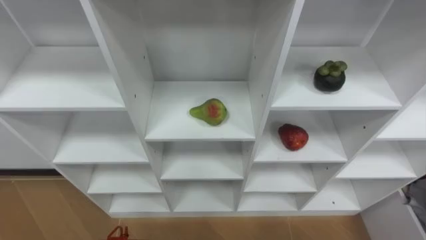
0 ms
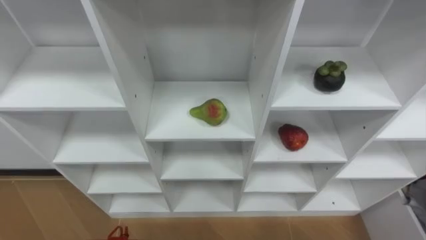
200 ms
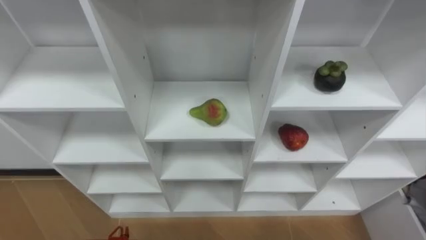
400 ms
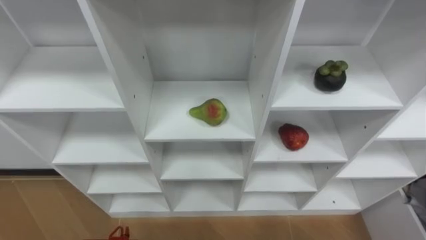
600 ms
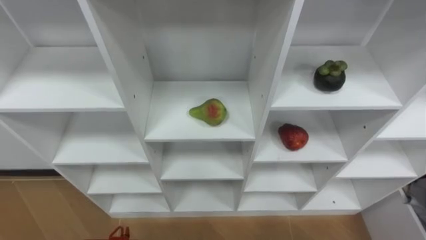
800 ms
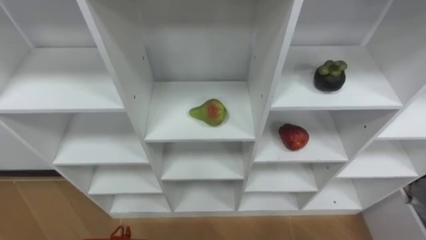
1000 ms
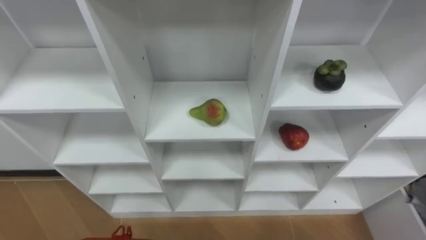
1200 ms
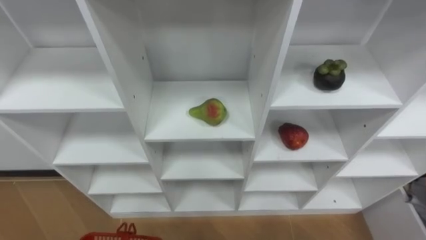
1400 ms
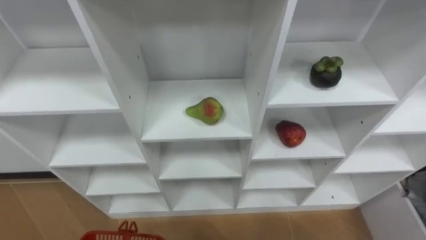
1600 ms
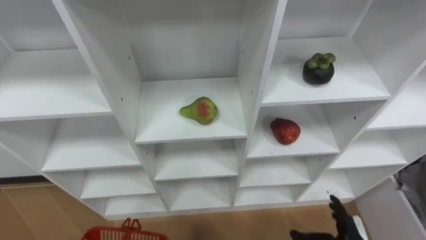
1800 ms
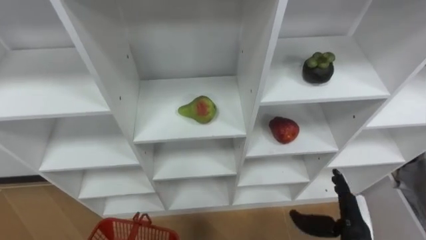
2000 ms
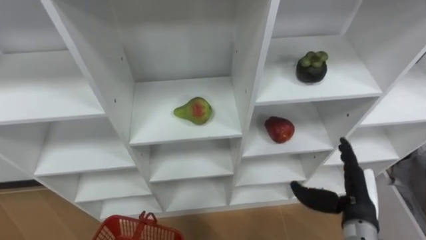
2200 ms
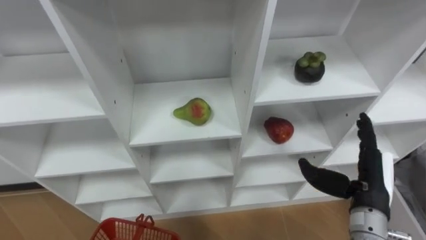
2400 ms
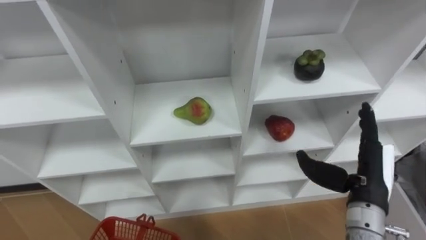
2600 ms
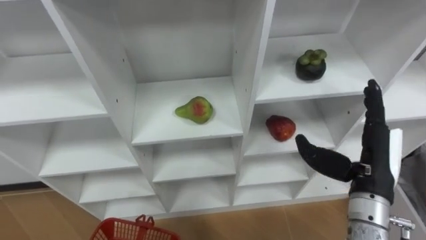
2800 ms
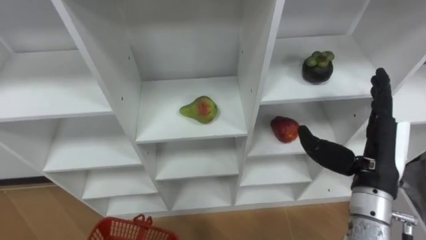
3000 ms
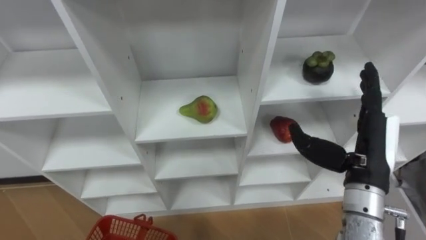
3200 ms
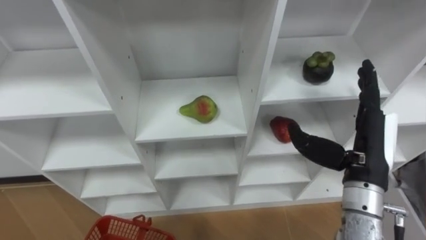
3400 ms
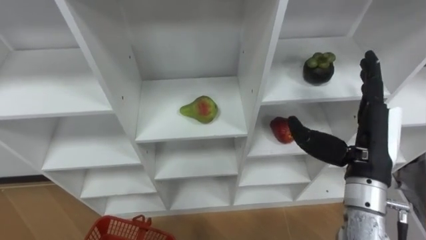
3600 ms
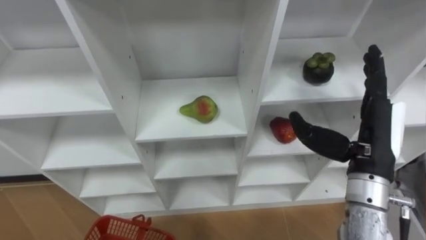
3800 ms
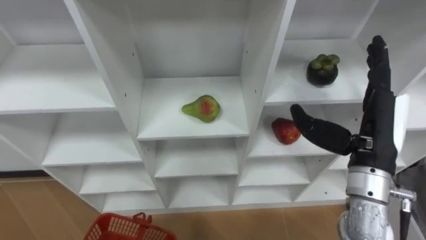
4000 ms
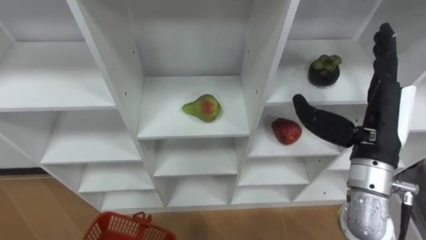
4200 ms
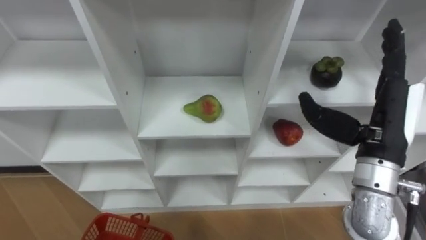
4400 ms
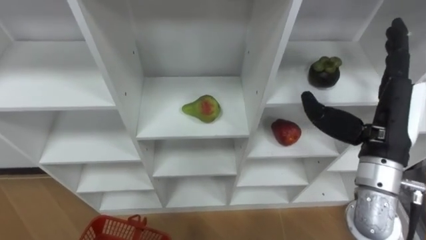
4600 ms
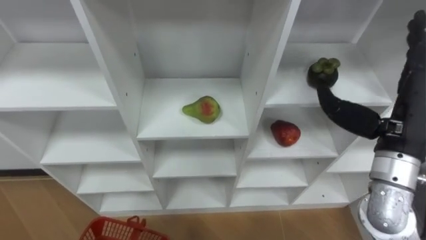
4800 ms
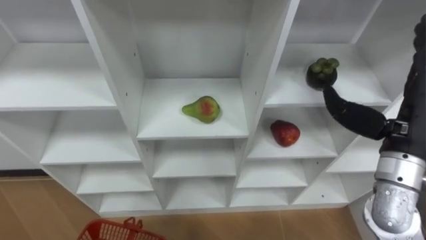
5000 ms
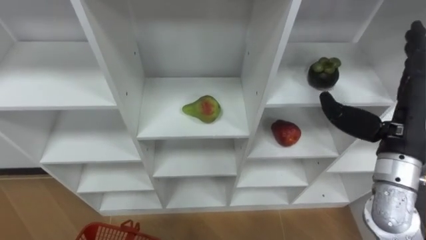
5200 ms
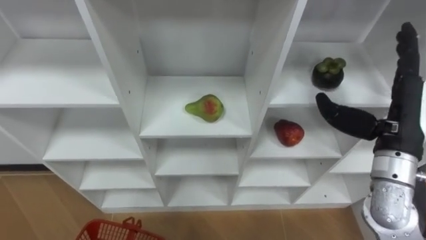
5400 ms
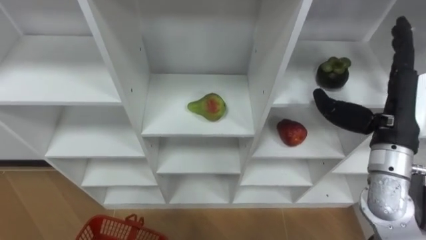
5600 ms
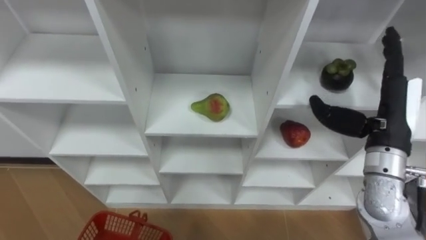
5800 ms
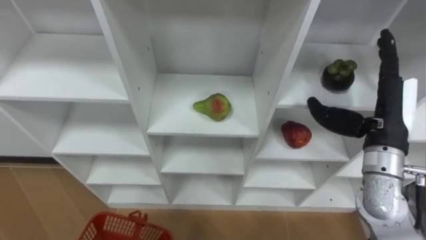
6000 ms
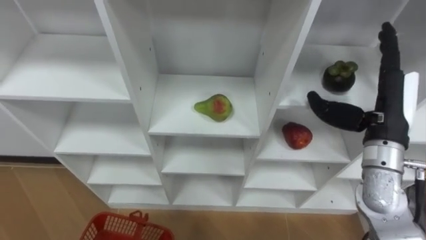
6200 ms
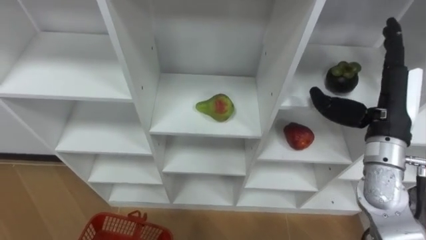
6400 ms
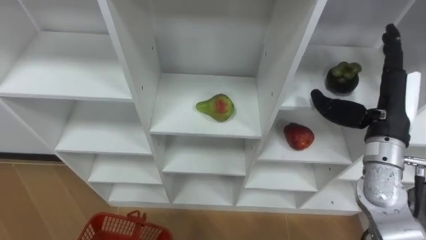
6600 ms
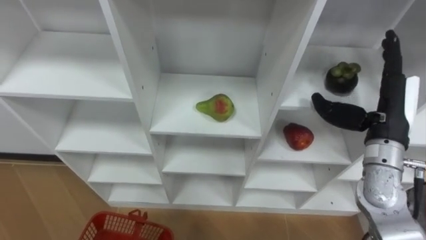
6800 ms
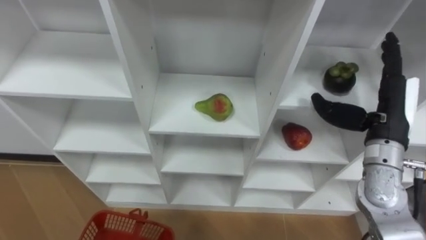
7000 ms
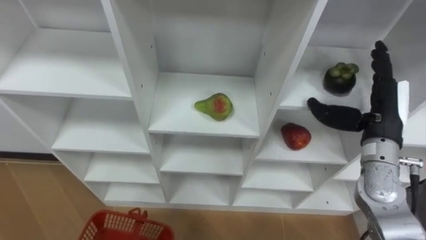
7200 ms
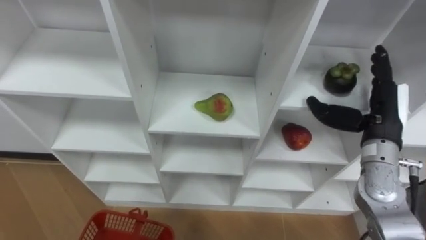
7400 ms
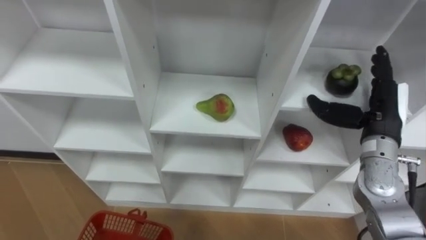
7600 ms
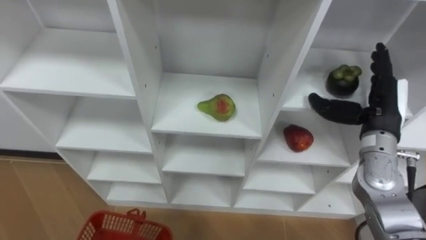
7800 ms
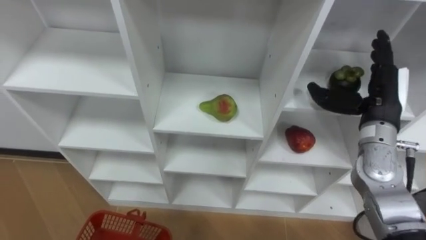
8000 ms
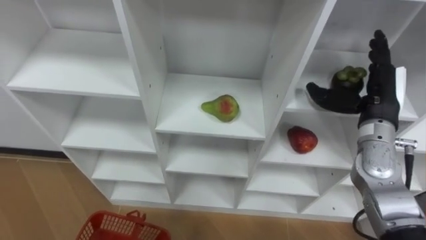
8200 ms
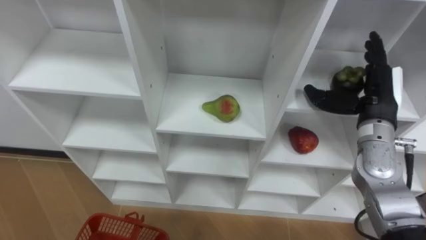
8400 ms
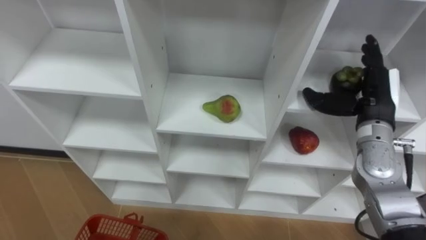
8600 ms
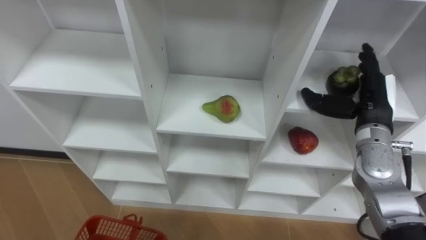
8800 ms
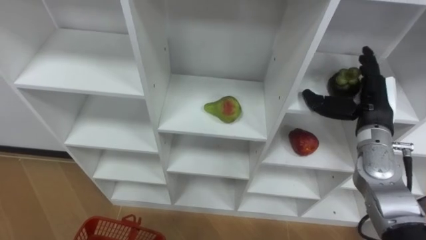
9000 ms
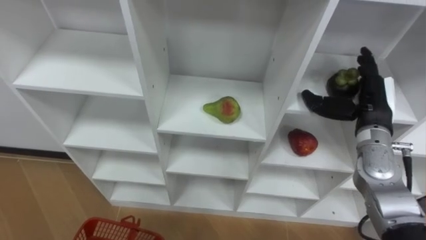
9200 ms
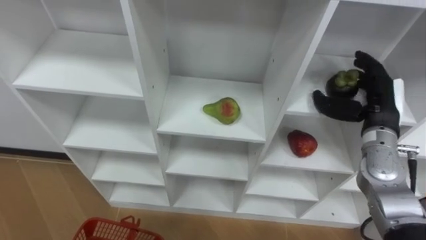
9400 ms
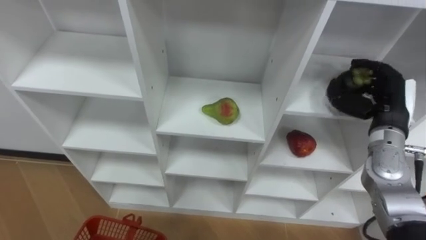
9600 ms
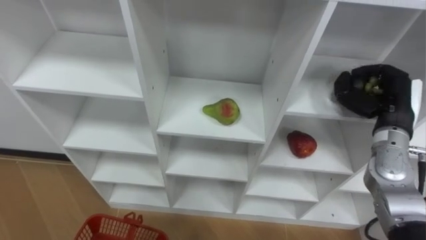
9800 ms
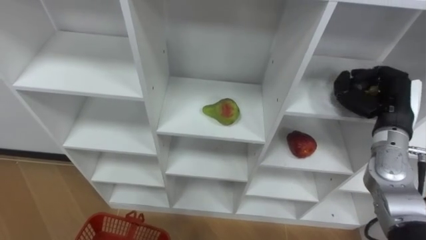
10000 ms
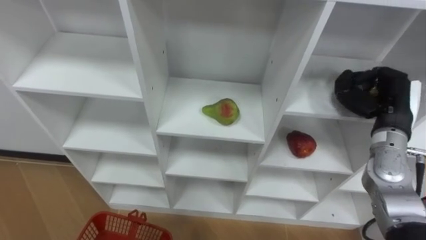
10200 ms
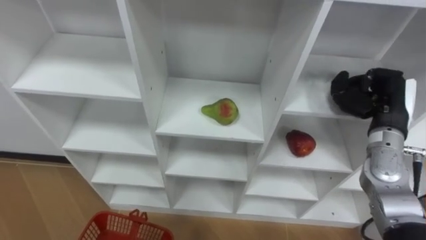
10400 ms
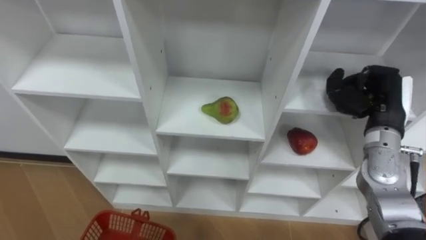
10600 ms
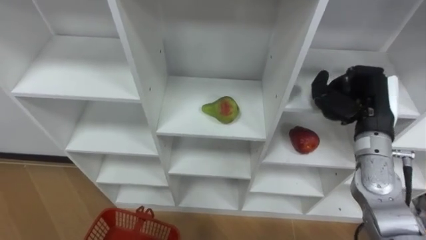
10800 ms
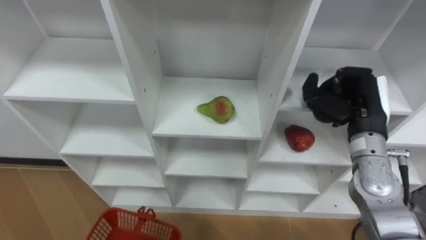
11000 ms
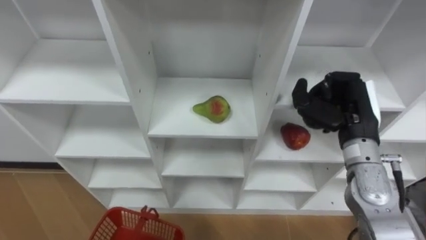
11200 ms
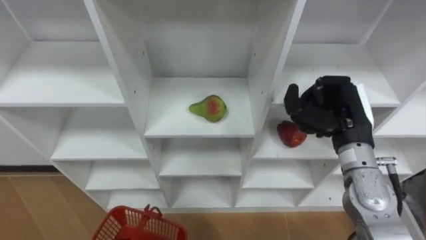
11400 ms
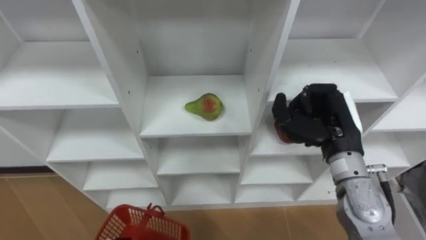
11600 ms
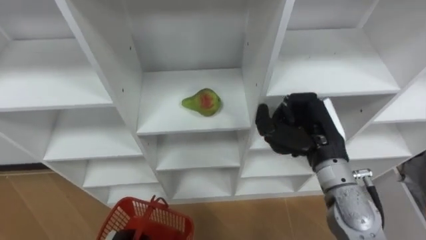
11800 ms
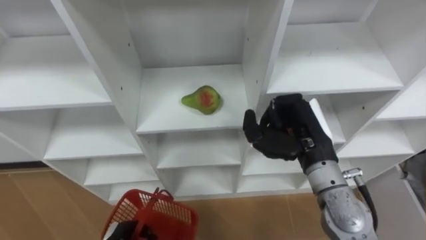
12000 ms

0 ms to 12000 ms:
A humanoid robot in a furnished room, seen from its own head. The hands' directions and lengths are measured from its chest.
Task of the whole recording: Hold the basket and collect the fruits from 3 different cells of the closet into it.
3000 ms to 4400 ms: The right hand travels upward by some 5 cm.
6000 ms to 7600 ms: The right hand ends up some 5 cm from where it was.
9000 ms to 10400 ms: The right hand closes up.
10400 ms to 12000 ms: The right hand moves to the left, approximately 15 cm.

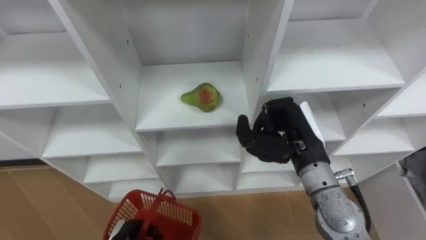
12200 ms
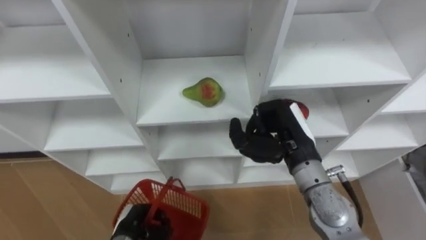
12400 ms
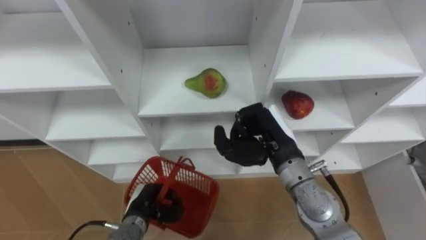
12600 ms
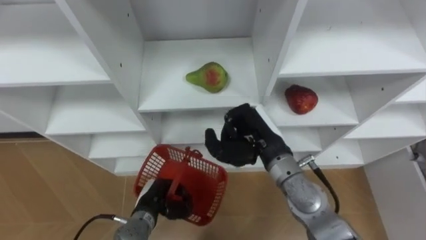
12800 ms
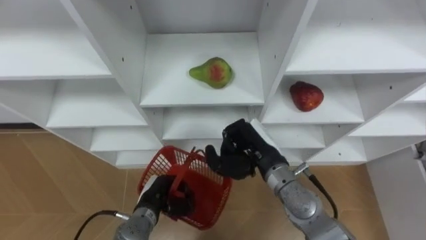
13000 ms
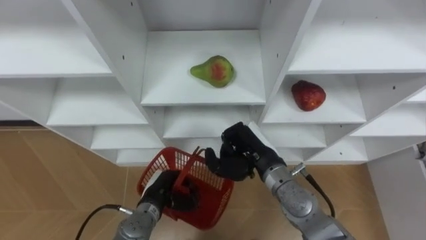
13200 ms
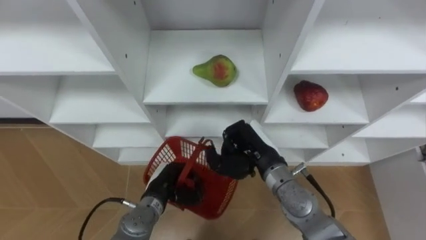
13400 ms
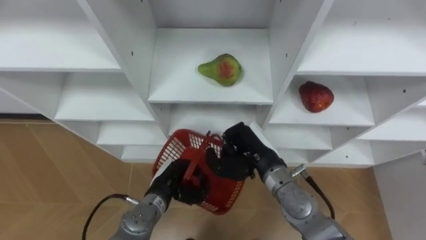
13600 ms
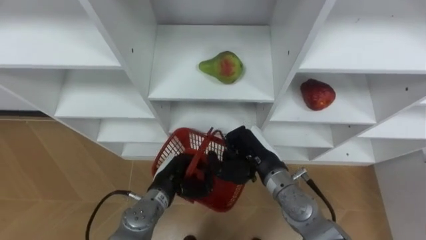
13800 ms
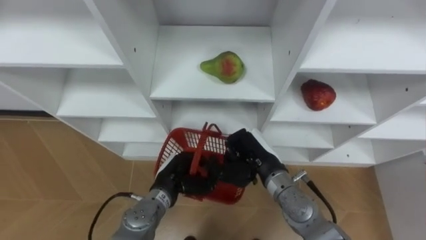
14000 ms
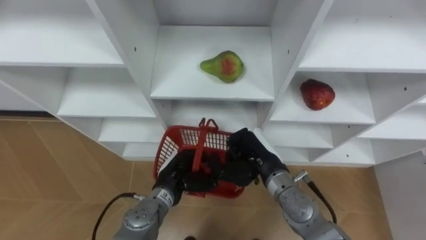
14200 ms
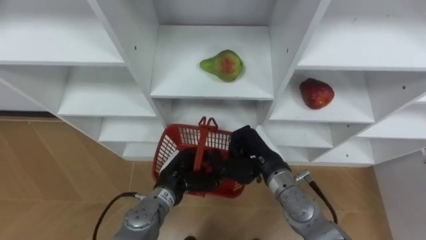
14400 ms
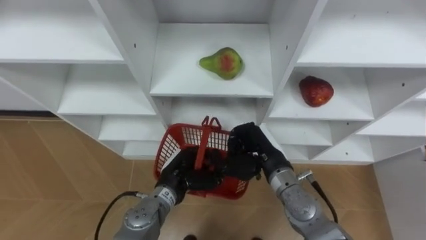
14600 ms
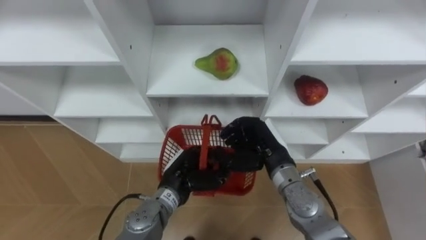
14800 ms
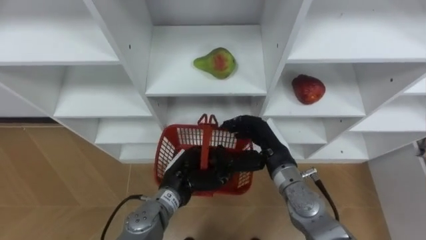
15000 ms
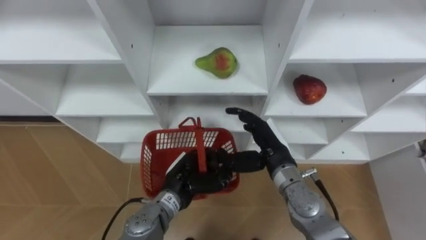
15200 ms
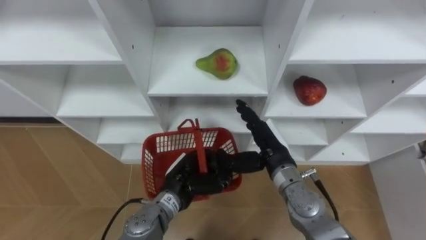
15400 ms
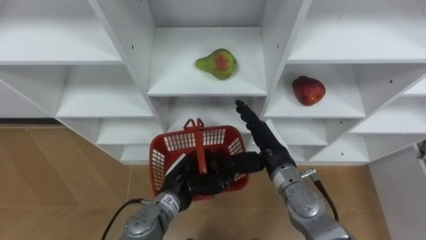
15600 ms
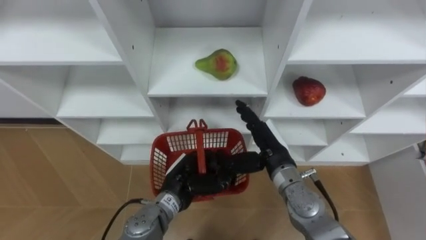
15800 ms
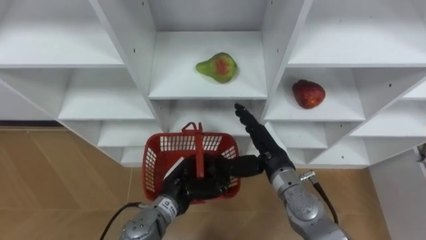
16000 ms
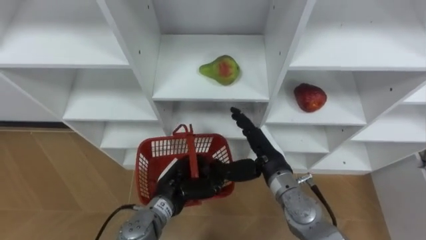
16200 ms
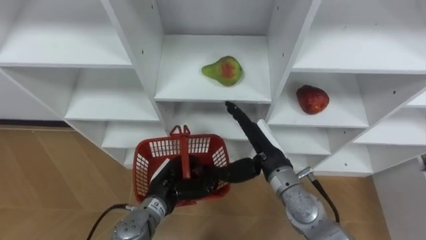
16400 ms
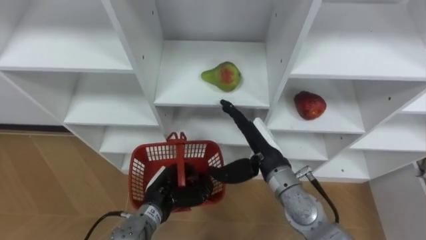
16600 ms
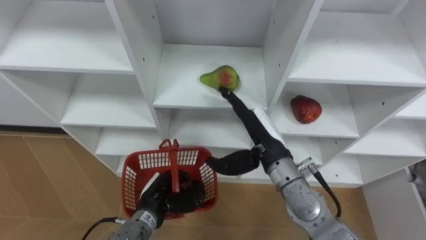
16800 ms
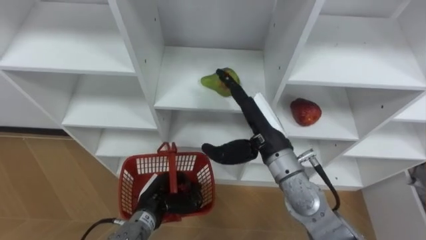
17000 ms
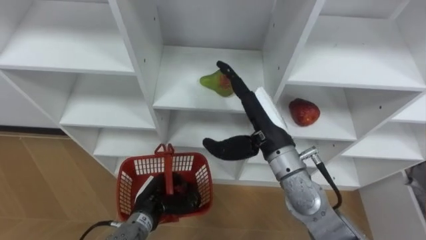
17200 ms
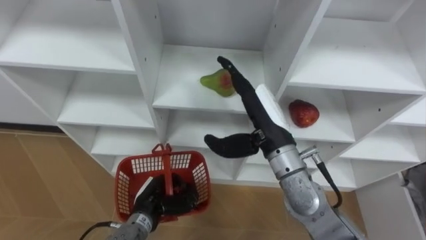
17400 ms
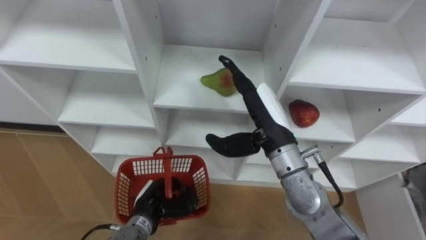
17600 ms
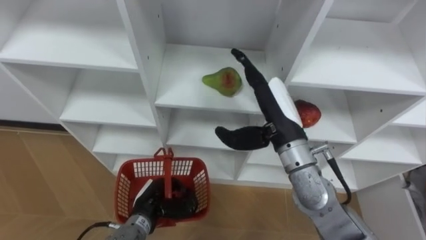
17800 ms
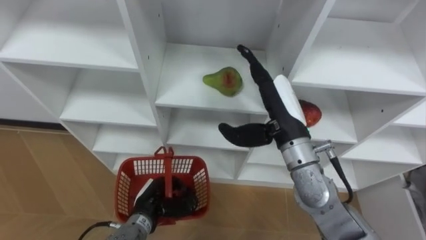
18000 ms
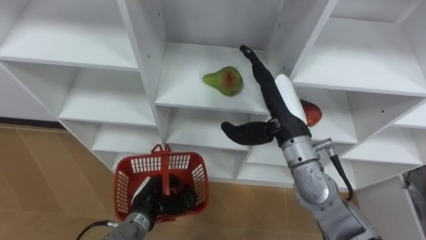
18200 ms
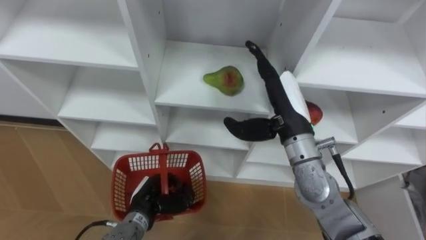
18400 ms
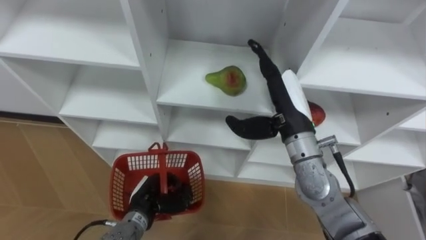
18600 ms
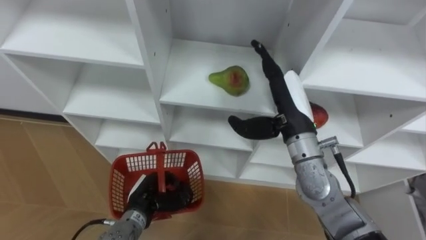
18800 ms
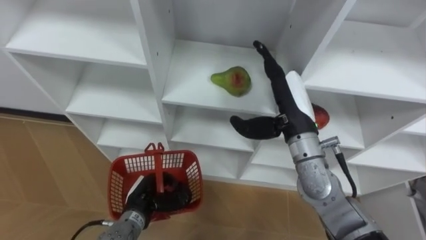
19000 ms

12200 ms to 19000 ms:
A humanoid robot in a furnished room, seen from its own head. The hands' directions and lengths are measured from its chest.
Task of the whole recording: Hold the basket and collect the fruits from 3 different cells of the closet into it.
12200 ms to 13600 ms: The right hand is displaced to the left and downward by approximately 10 cm.
13600 ms to 15000 ms: The right hand opens its fingers; the left hand ends up roughly 5 cm from where it was.
16200 ms to 17600 ms: The right hand heads upward, covering approximately 10 cm. The left hand heads to the left, covering some 5 cm.
17600 ms to 19000 ms: The right hand shifts by some 5 cm.
